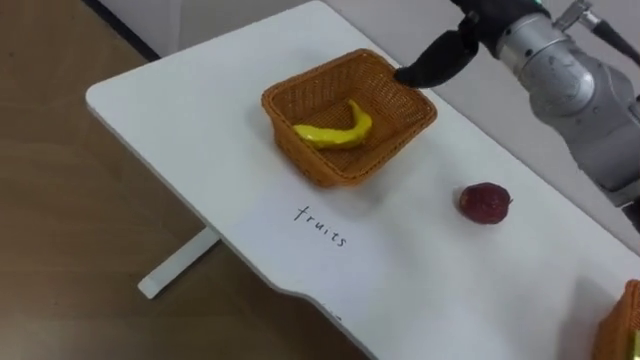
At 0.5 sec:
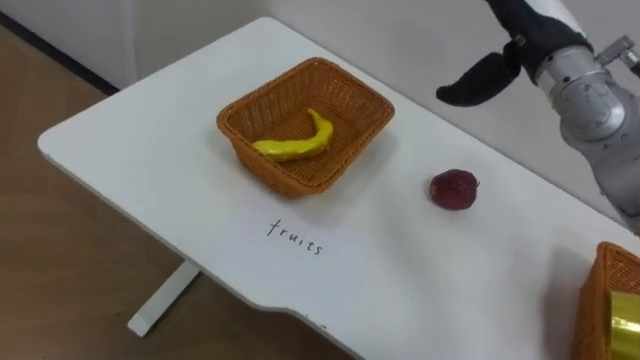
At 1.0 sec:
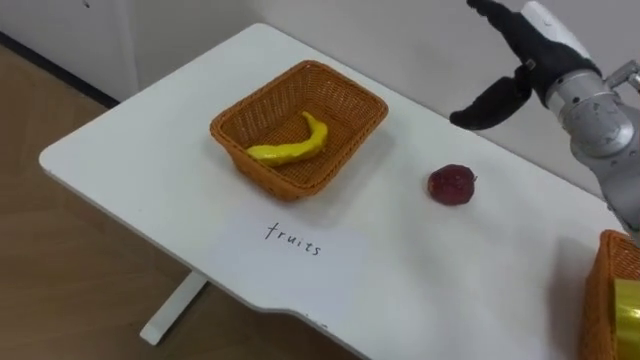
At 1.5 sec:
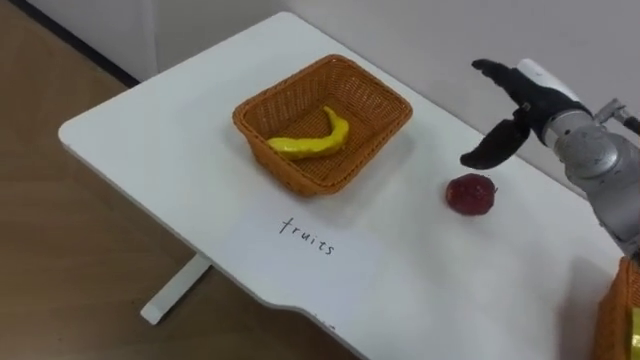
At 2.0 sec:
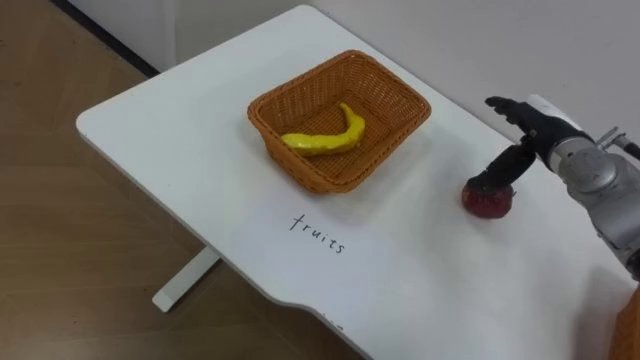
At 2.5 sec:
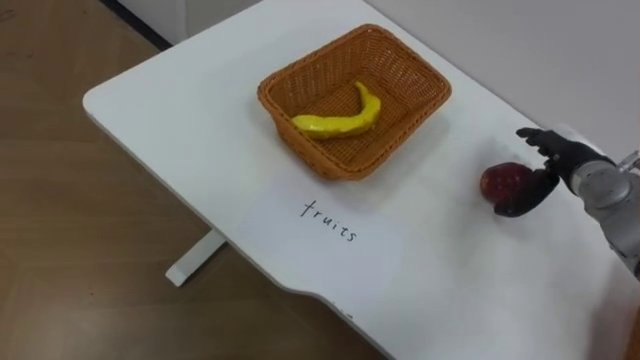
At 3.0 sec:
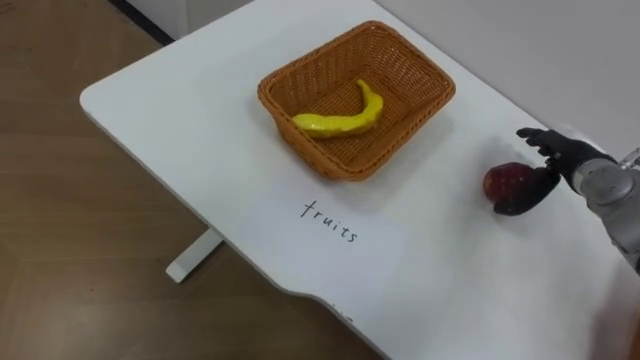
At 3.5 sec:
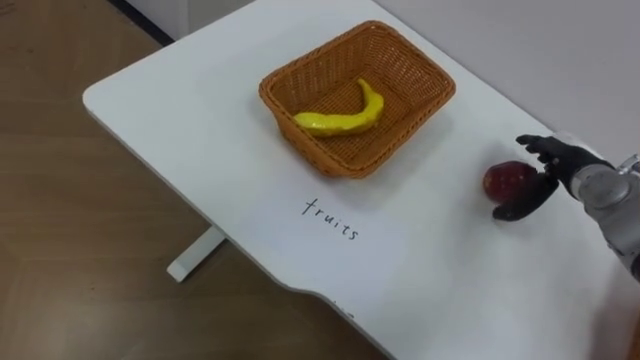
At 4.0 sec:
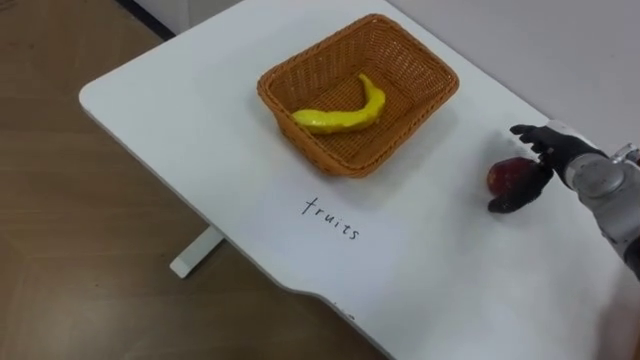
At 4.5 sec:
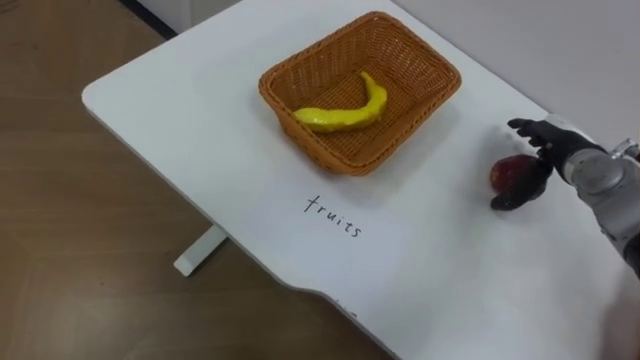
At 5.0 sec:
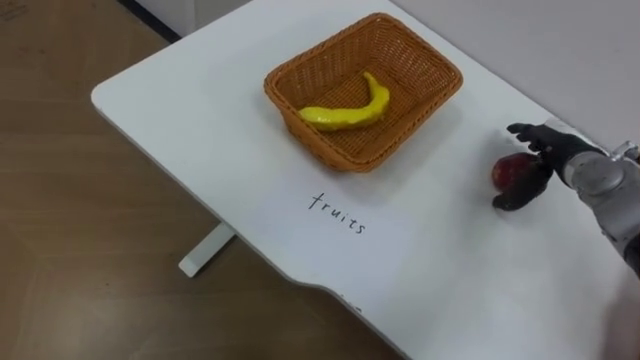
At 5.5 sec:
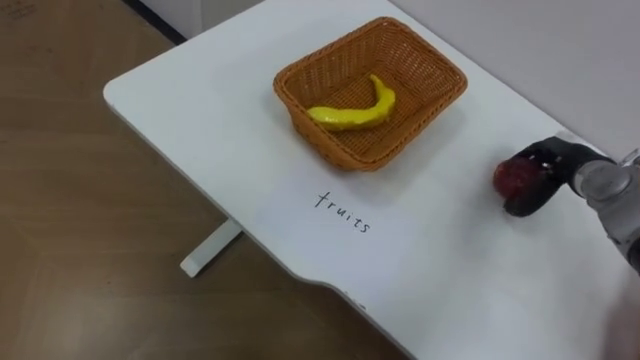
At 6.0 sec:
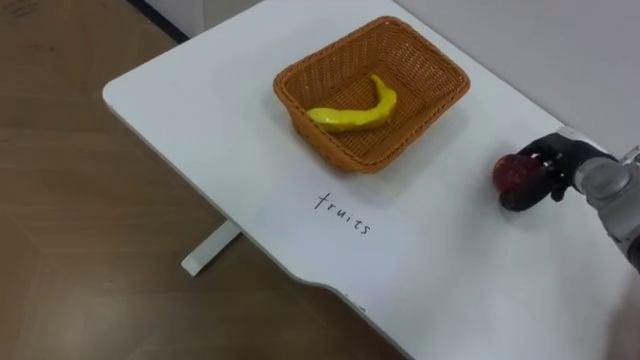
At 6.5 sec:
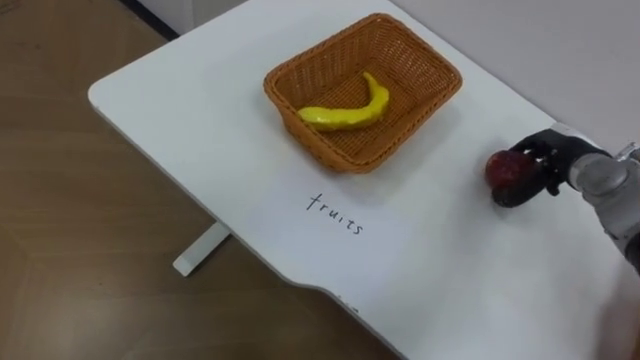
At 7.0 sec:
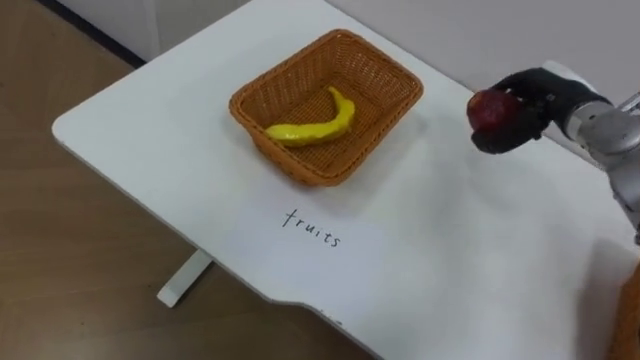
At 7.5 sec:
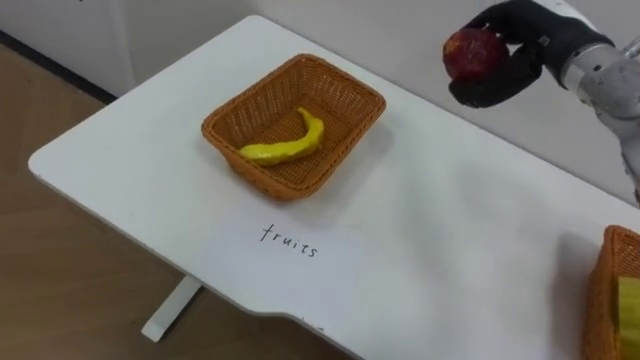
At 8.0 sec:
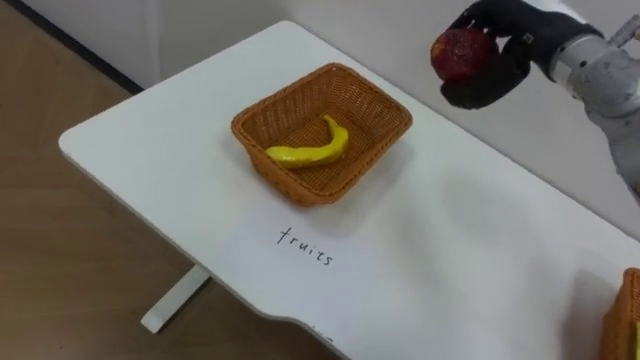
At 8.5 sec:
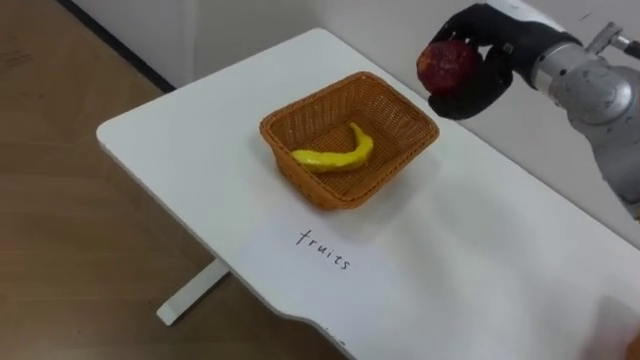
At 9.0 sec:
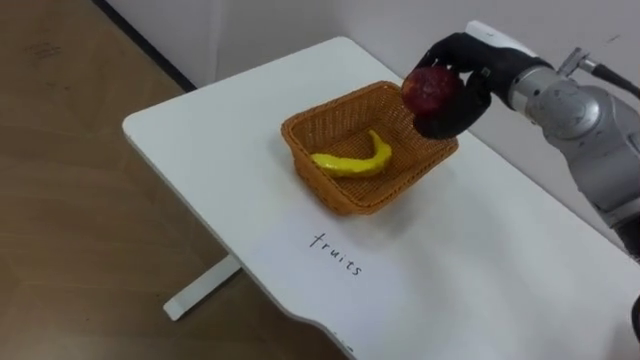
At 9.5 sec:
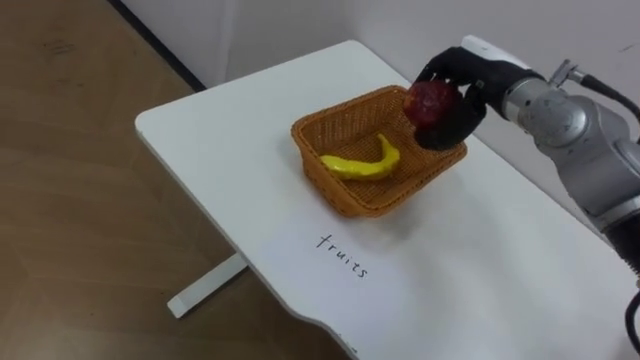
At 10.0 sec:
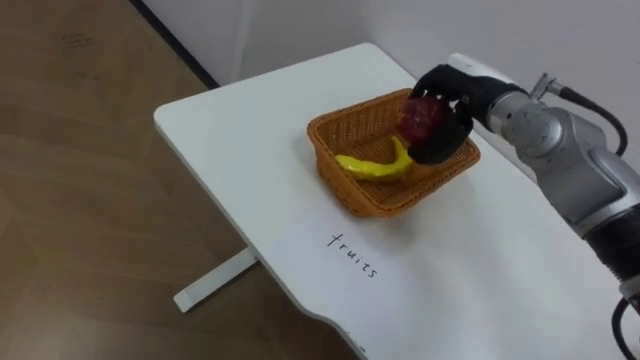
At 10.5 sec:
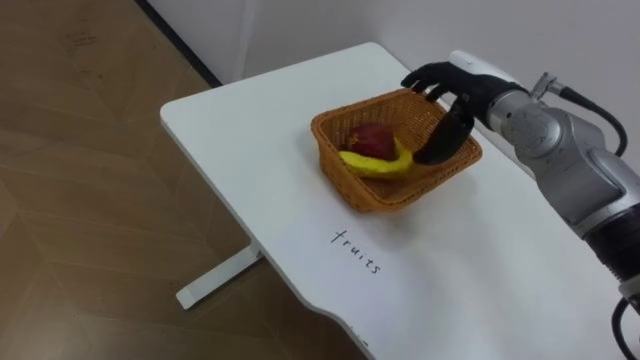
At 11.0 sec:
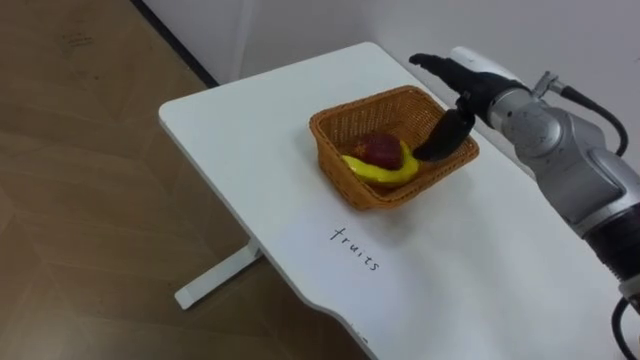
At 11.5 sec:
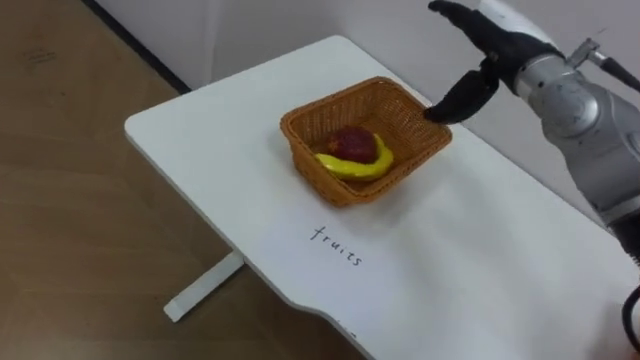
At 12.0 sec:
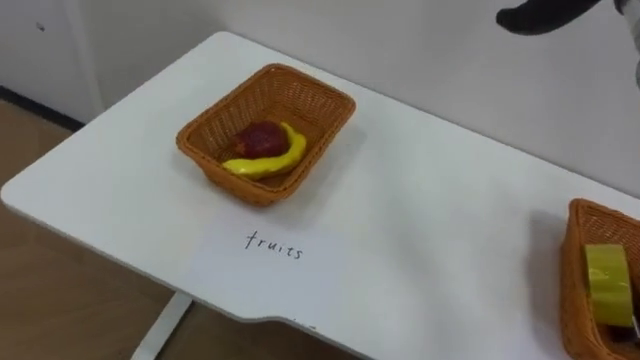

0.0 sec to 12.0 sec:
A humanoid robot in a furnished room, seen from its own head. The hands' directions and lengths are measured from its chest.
Task of the whole recording: Separate the items on the table and place them into the two baskets.
4.0 sec to 6.0 sec: The right hand closes.
6.0 sec to 8.0 sec: The right hand is displaced upward and to the left by about 20 cm.
8.0 sec to 10.0 sec: The right hand goes about 10 cm downward.

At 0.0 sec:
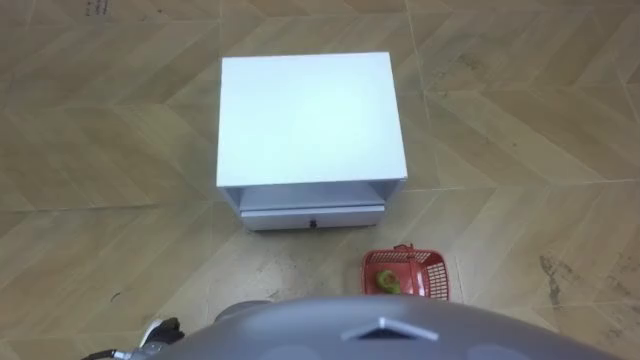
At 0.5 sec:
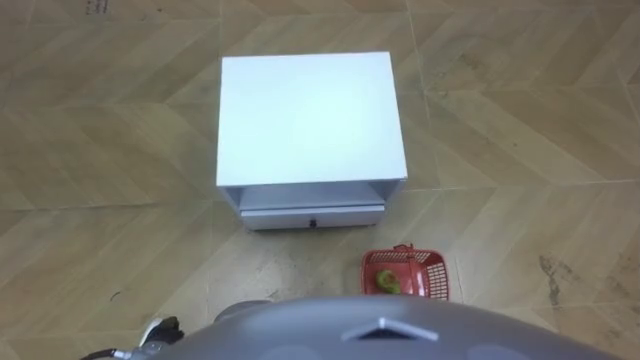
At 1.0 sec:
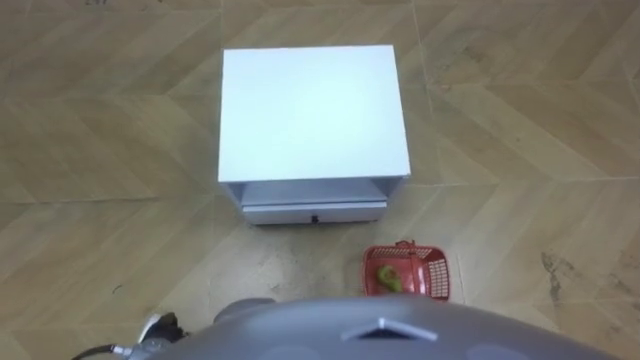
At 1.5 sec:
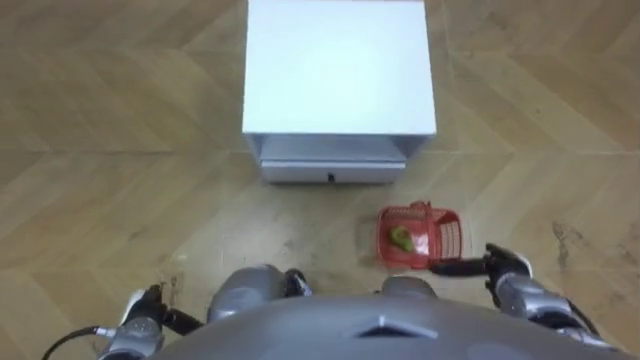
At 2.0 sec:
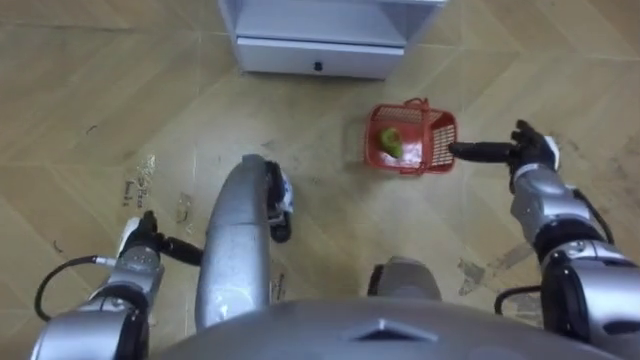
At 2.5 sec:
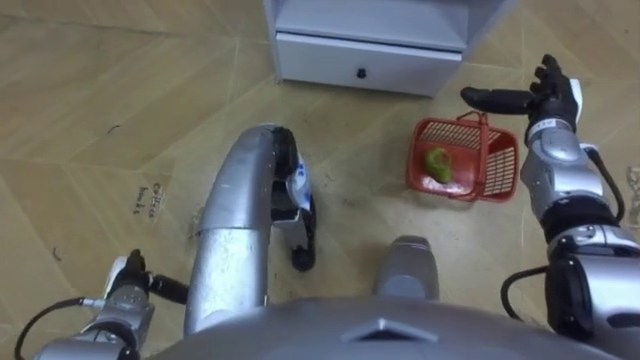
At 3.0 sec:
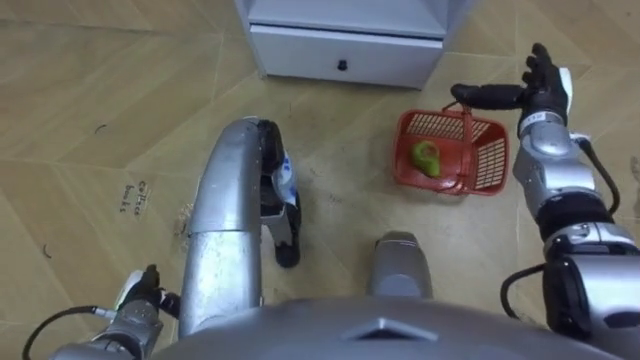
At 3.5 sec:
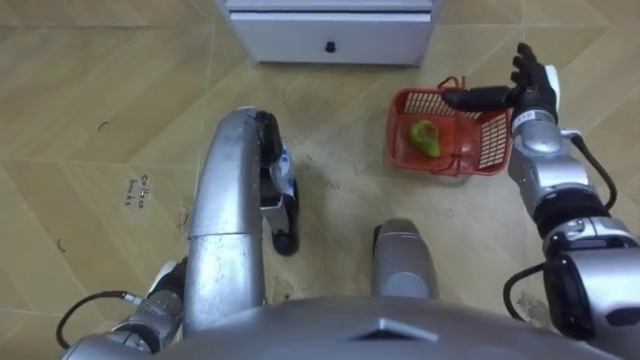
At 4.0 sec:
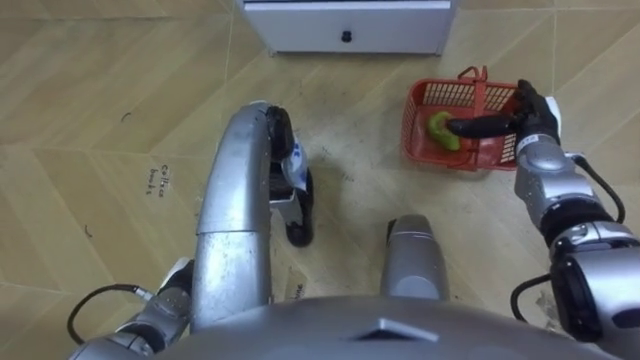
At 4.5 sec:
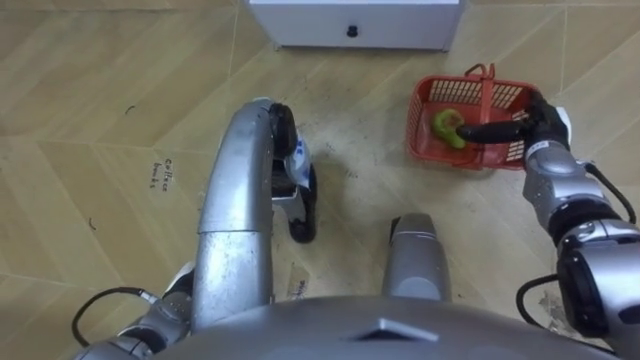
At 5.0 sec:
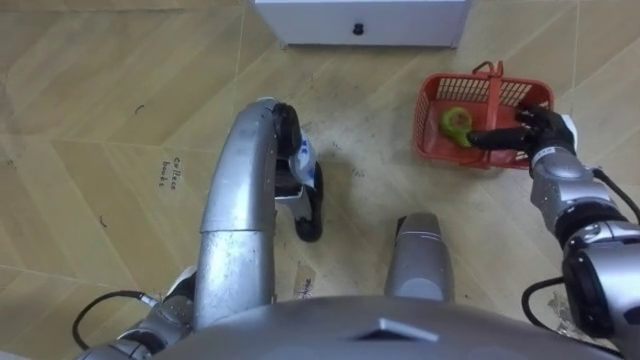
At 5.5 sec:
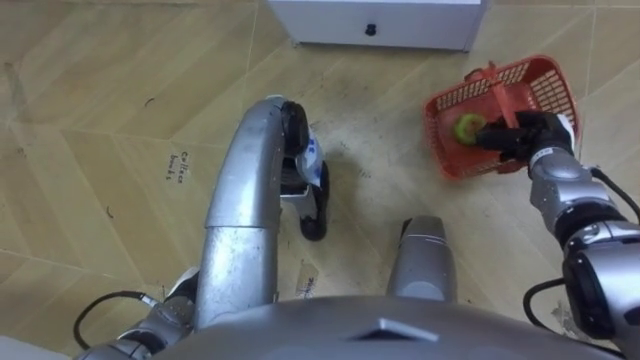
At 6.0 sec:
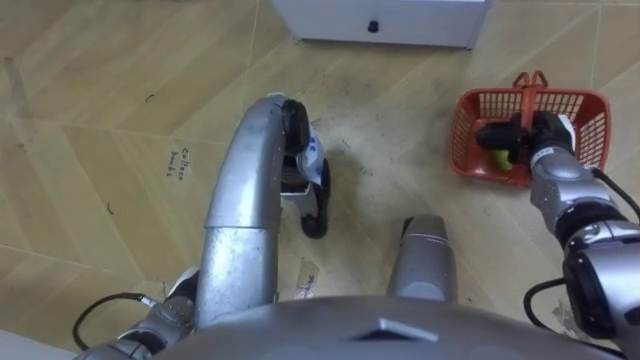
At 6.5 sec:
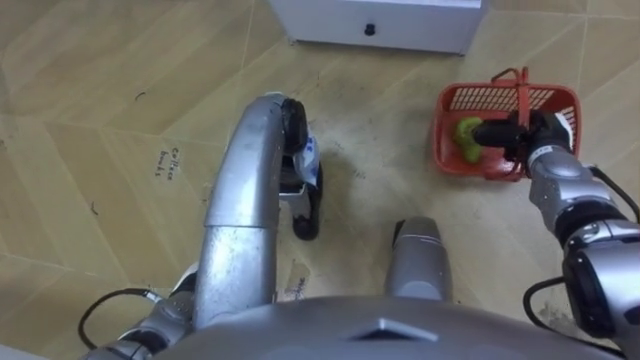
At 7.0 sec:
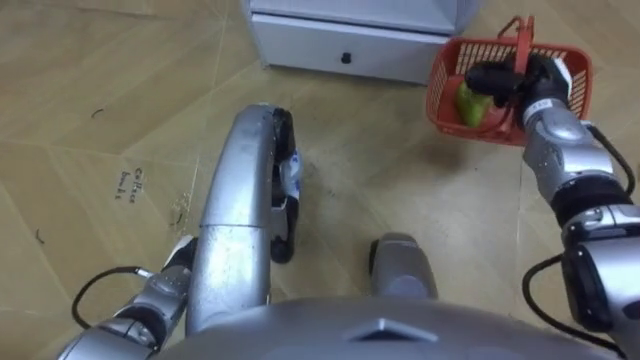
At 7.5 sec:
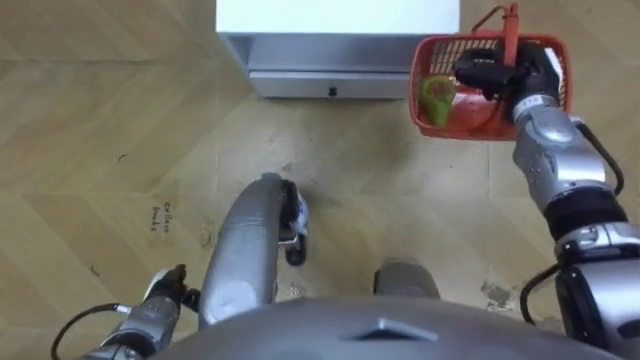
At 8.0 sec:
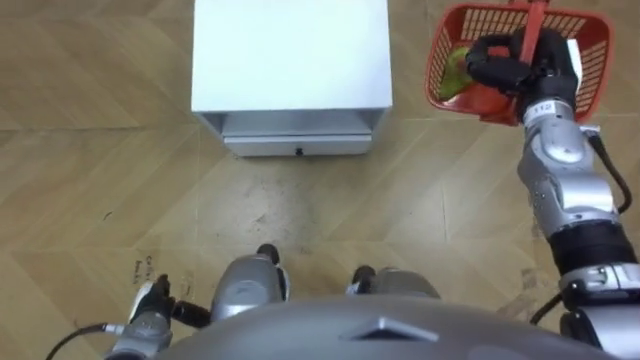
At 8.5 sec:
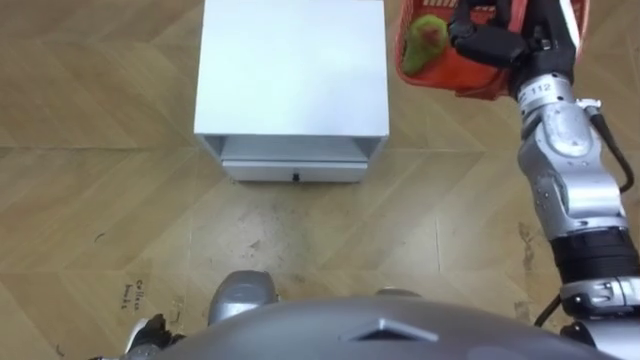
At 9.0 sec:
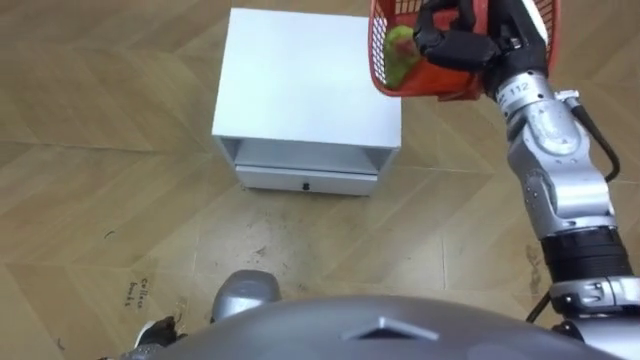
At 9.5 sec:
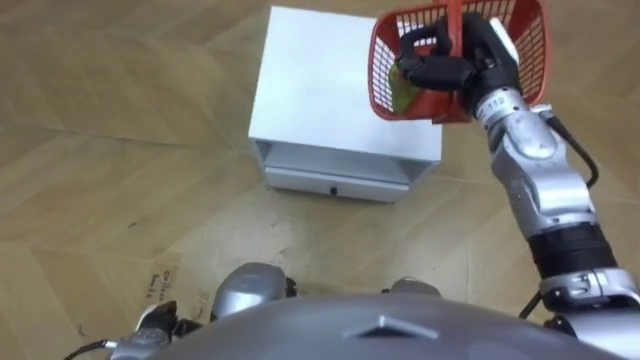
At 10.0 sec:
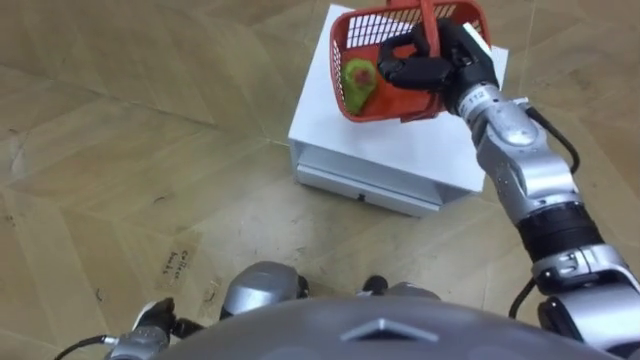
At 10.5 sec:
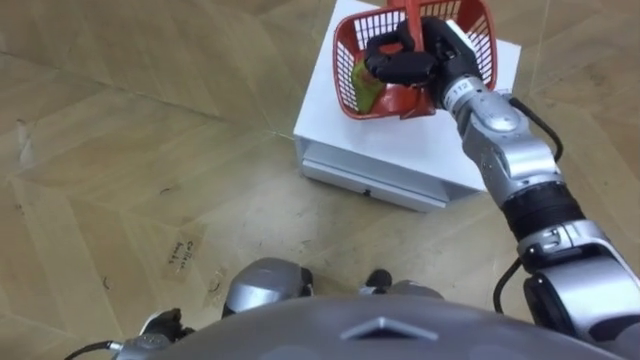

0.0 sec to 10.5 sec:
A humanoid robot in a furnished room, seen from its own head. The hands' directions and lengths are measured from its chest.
Task of the whole recording: Pick up the fruit basket from the floor and place it on the cabinet.
2.0 sec to 4.0 sec: The left hand heads backward and to the right, covering some 10 cm.
4.0 sec to 6.5 sec: The right hand closes up.
6.5 sec to 8.5 sec: The right hand heads upward and to the left, covering some 15 cm. Meanwhile the left hand shifts some 10 cm backward and to the left.
8.5 sec to 10.5 sec: The right hand goes roughly 10 cm to the left and downward.
